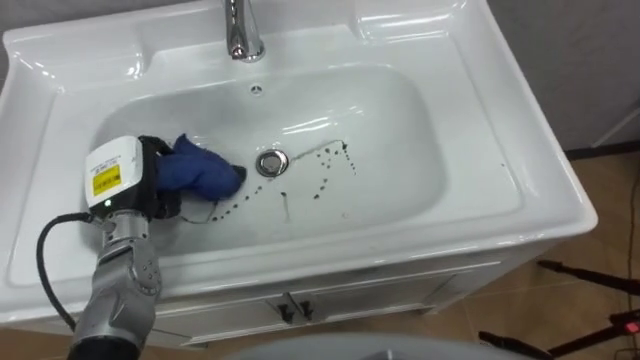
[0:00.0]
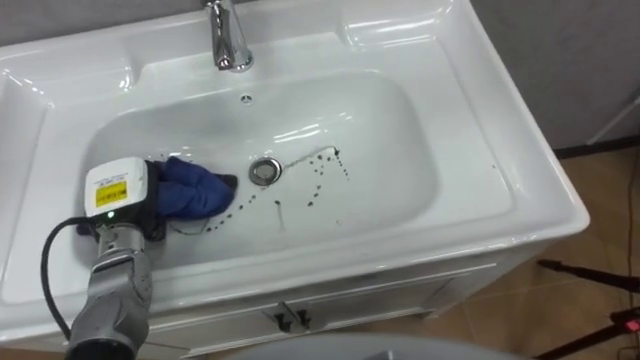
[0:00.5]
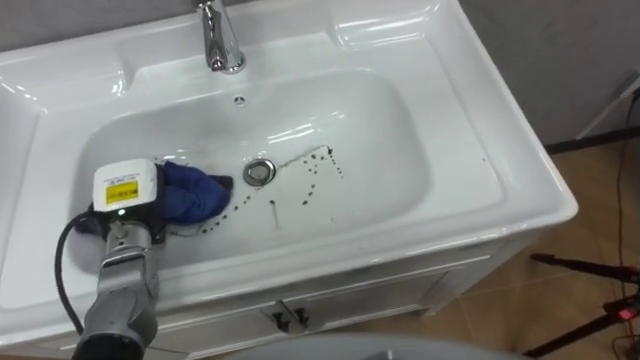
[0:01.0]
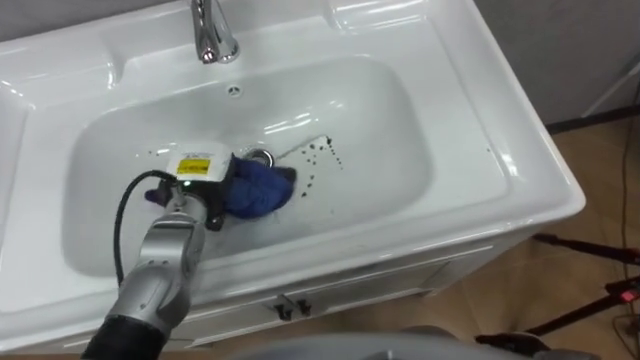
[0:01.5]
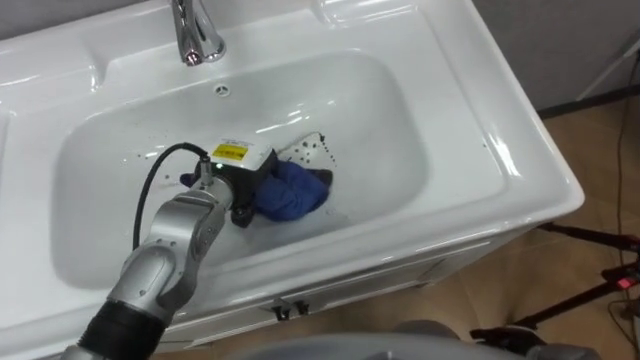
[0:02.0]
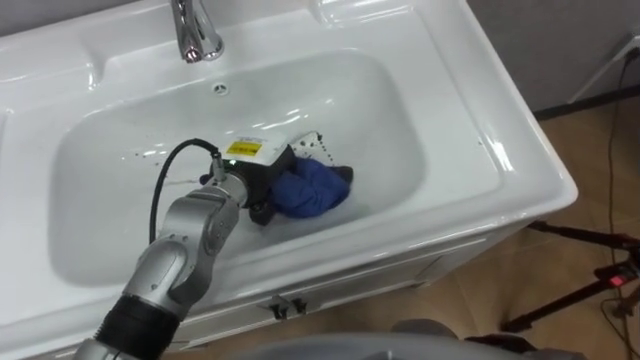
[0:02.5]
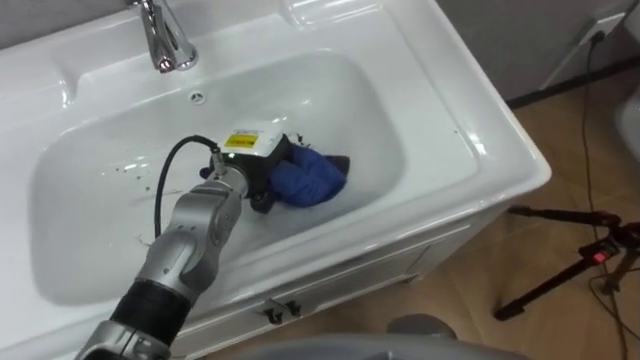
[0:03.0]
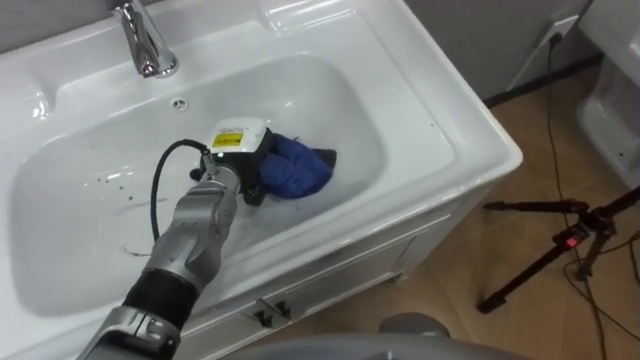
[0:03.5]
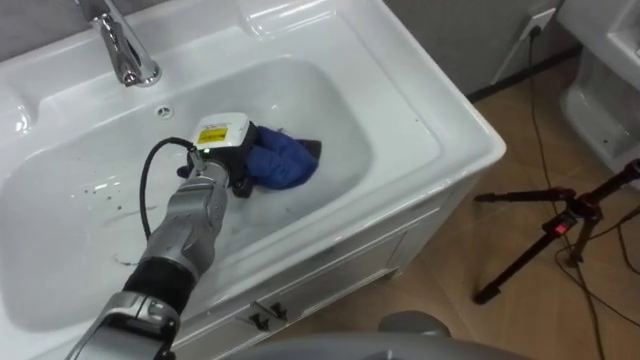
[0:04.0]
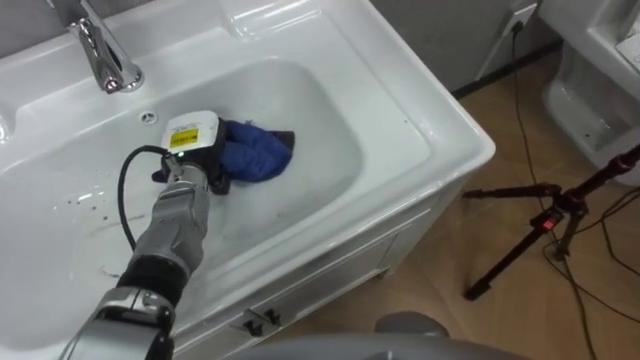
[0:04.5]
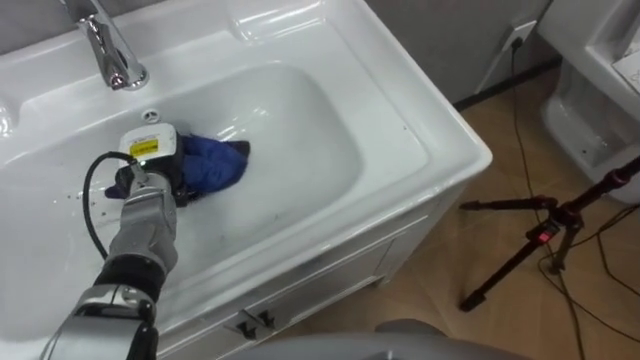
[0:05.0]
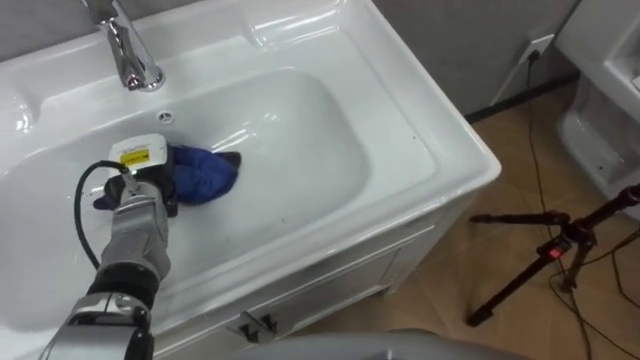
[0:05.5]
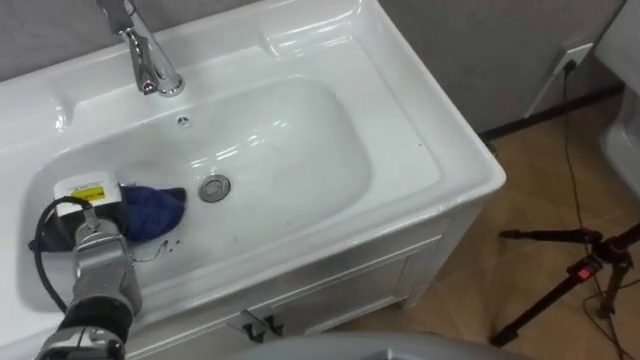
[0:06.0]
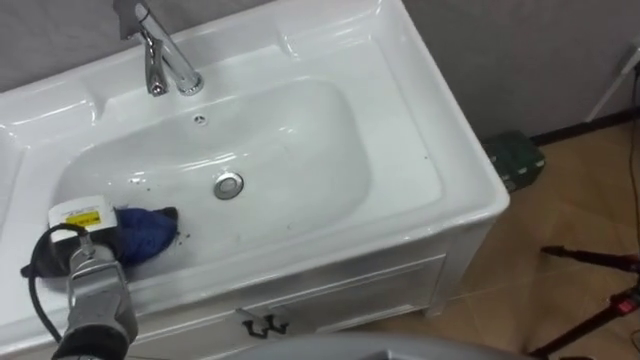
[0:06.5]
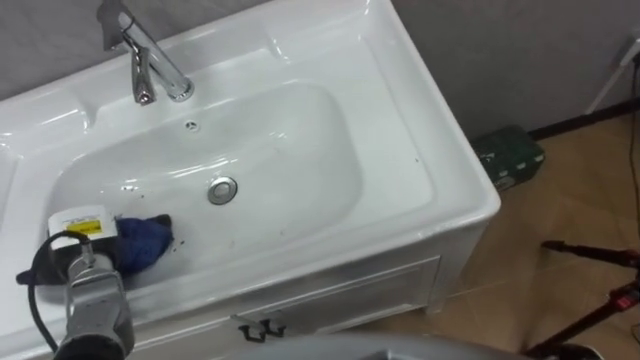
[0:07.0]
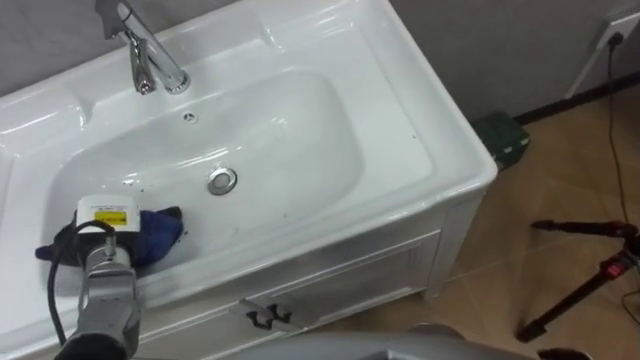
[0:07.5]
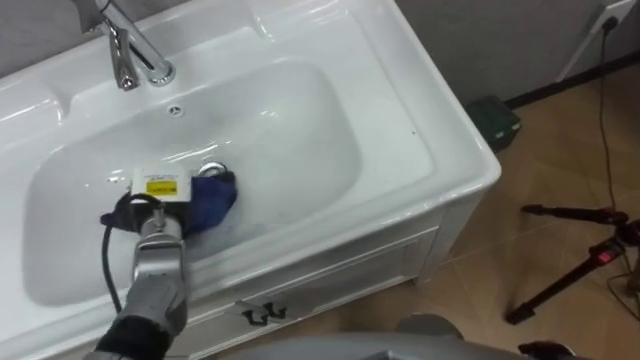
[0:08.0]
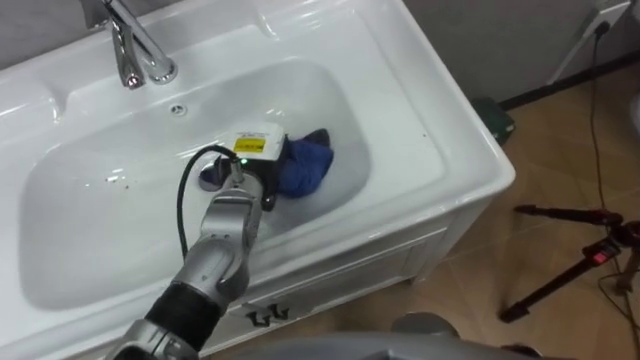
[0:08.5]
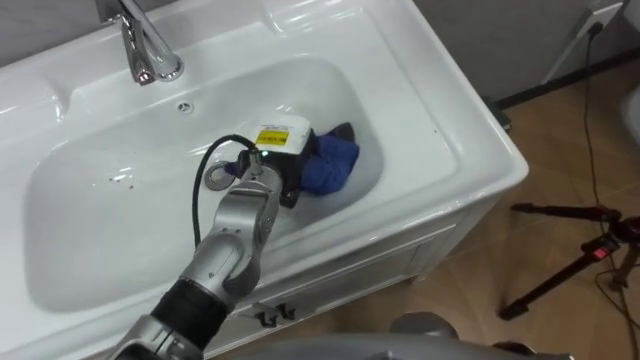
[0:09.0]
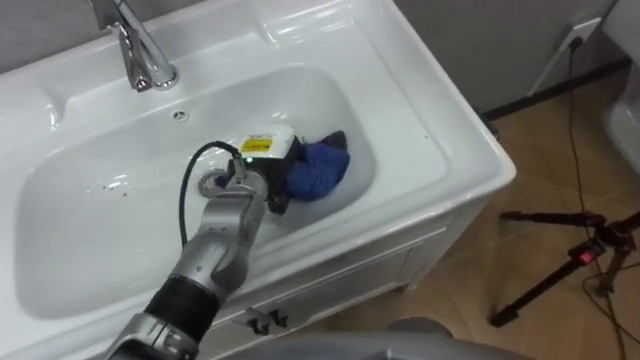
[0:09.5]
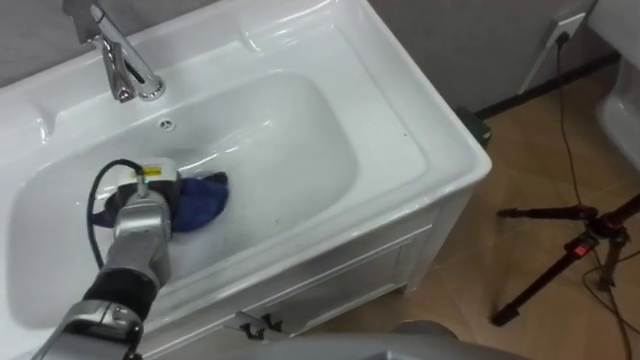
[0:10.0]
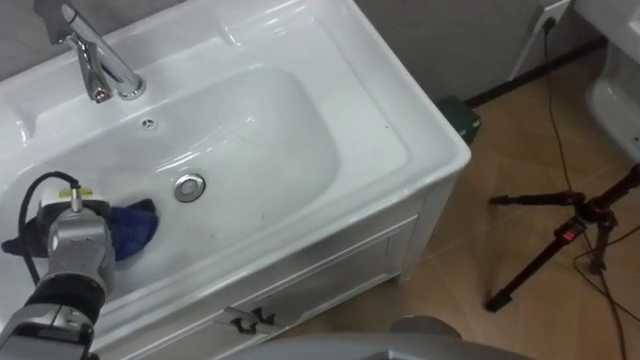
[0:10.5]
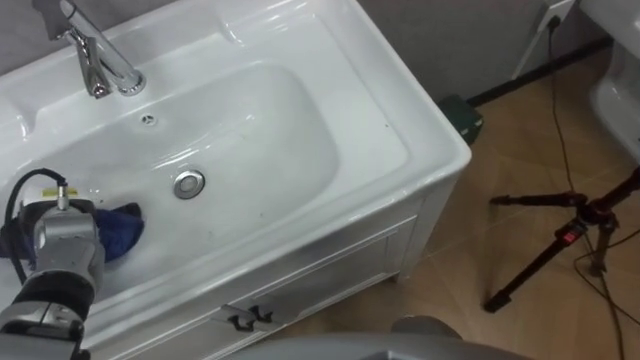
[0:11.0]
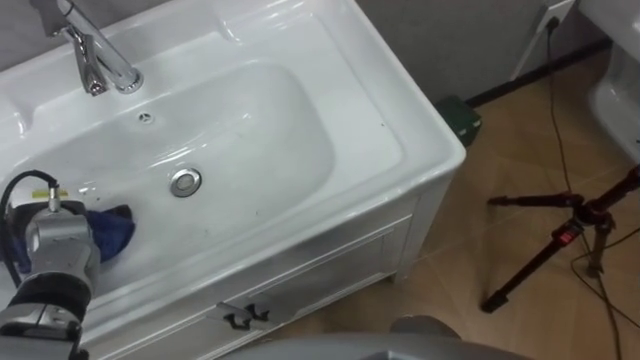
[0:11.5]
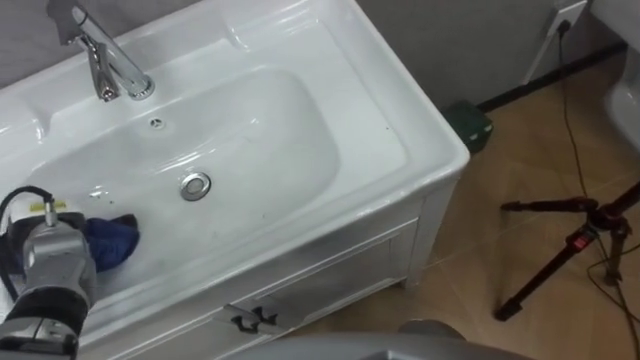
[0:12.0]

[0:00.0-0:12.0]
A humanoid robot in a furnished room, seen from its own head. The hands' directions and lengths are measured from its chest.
Task of the whole recording: Use the cloth on the right to wipe away the black stain in the sink.
0:00.0 to 0:02.0: The left hand heads to the right, covering some 15 cm.
0:02.0 to 0:04.0: The left hand changes place by some 5 cm.
0:04.0 to 0:06.0: The left hand shifts approximately 20 cm to the left and backward.
0:06.0 to 0:08.0: The left hand goes about 10 cm to the right.
0:08.0 to 0:10.0: The left hand reaches about 15 cm to the right, then returns.
0:10.0 to 0:12.0: The left hand travels to the left and backward by approximately 15 cm.

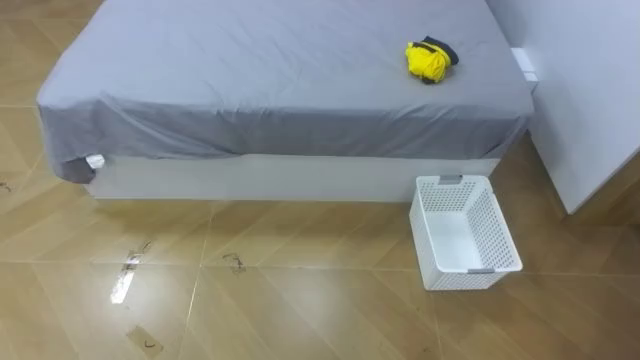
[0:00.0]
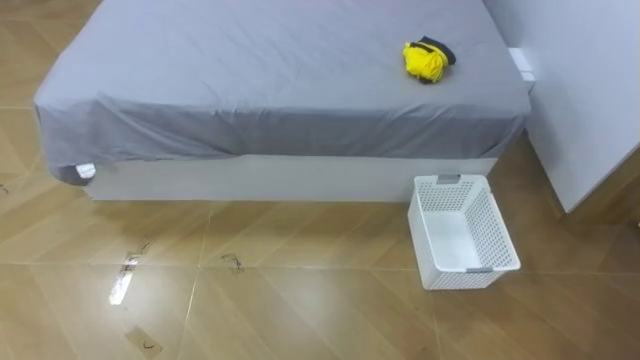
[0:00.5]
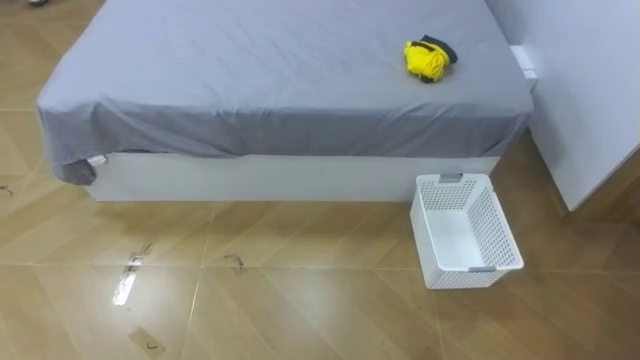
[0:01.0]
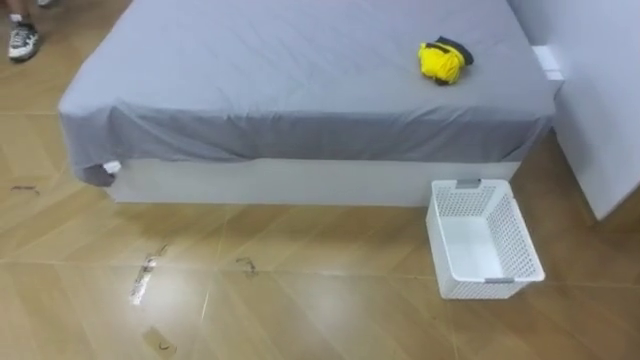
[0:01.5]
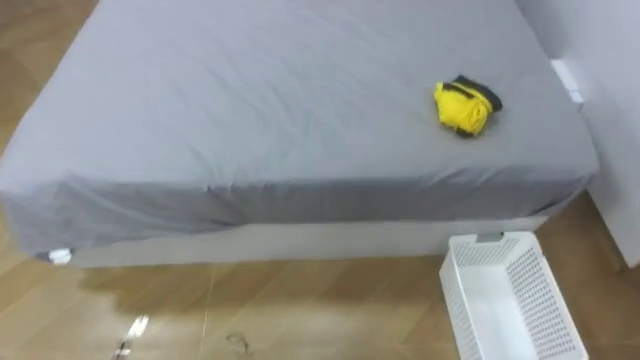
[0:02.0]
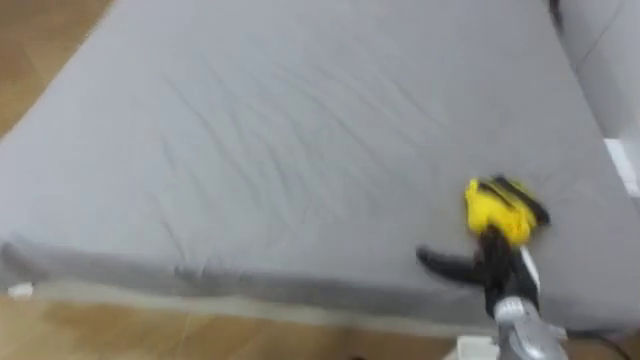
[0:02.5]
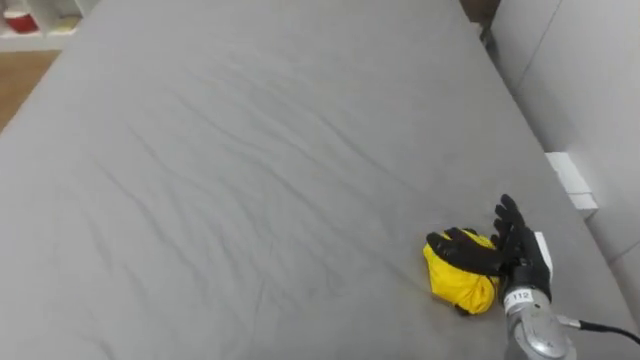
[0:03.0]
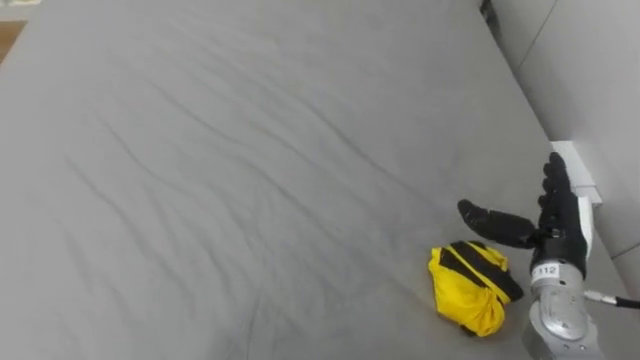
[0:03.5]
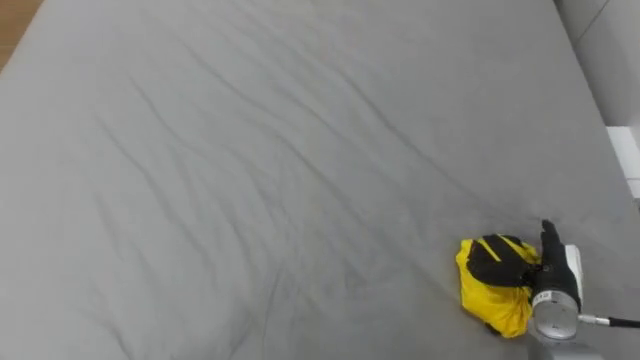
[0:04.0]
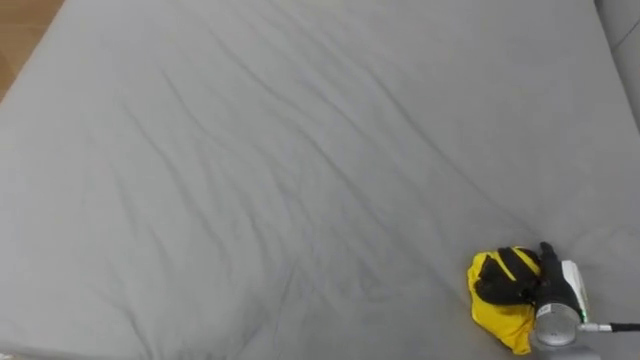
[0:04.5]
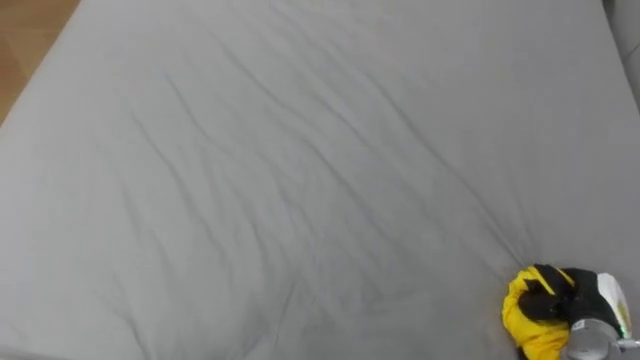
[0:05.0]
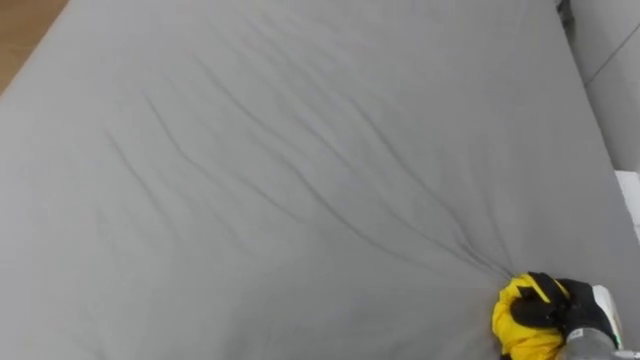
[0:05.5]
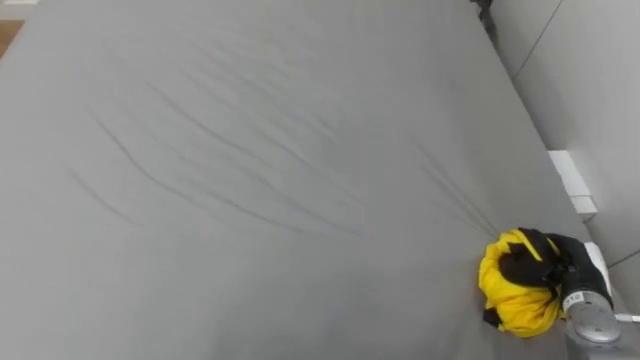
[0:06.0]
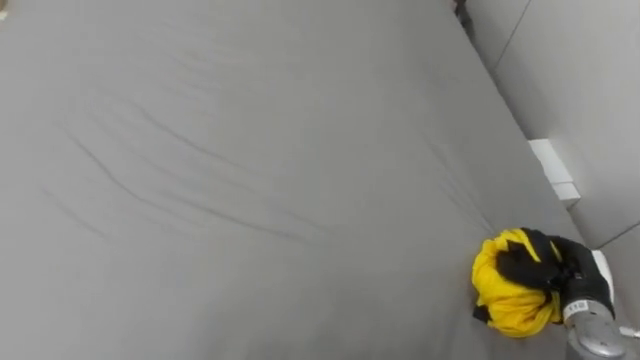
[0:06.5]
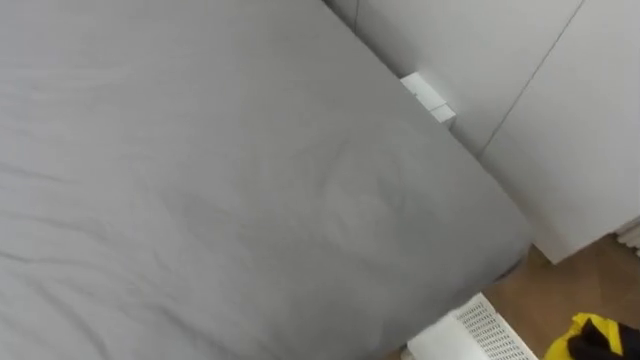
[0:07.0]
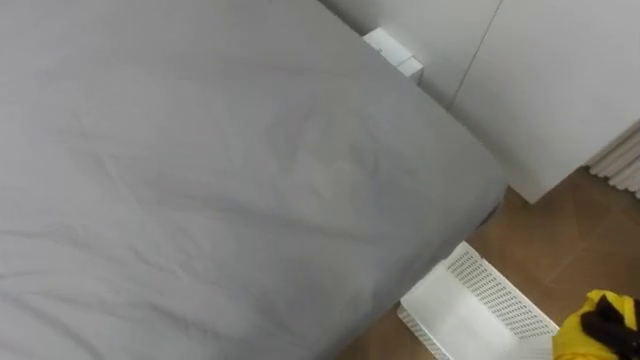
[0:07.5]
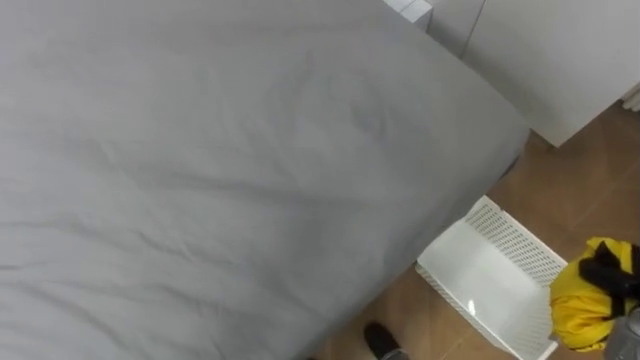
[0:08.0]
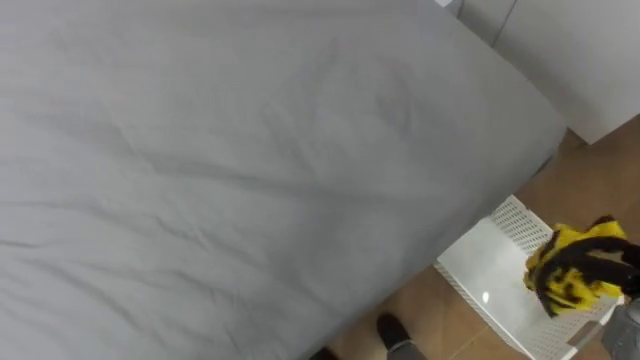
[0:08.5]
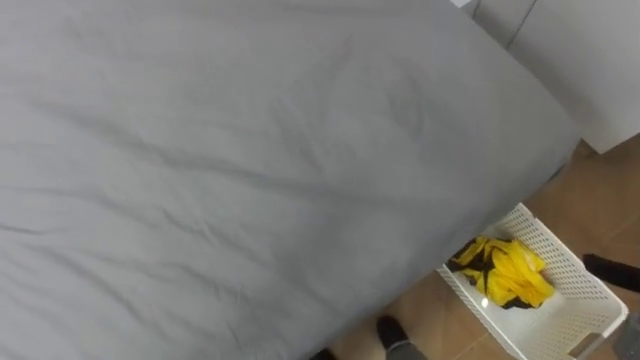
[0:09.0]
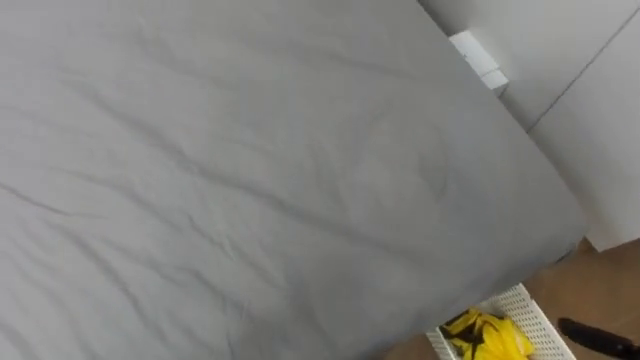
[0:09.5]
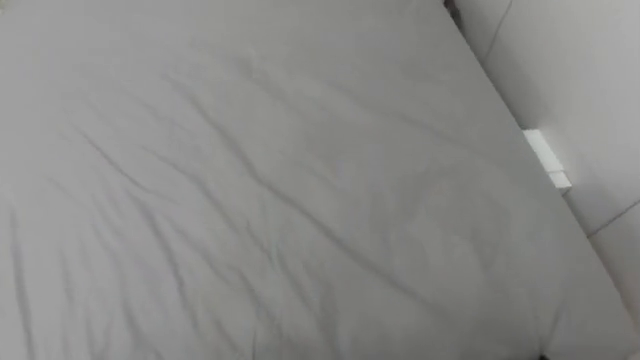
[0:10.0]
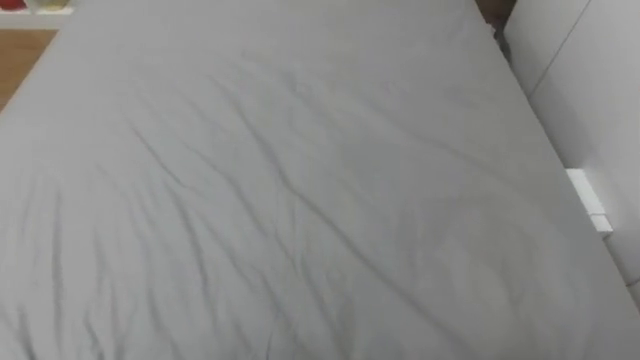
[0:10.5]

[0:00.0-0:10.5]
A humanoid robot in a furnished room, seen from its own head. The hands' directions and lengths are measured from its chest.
Task of the whole recording: Pick up the yellow clothes on the bed and place them into the white basket on the right.
0:04.0 to 0:06.5: The right hand closes up.
0:06.5 to 0:08.5: The robot rotates approximately 20 degrees to its right.
0:08.5 to 0:10.5: The robot faces about 25 degrees further to its left.
